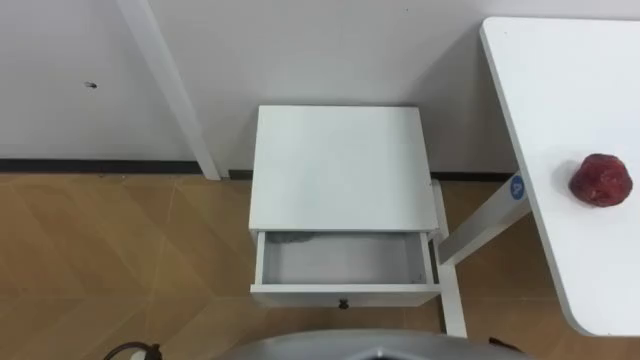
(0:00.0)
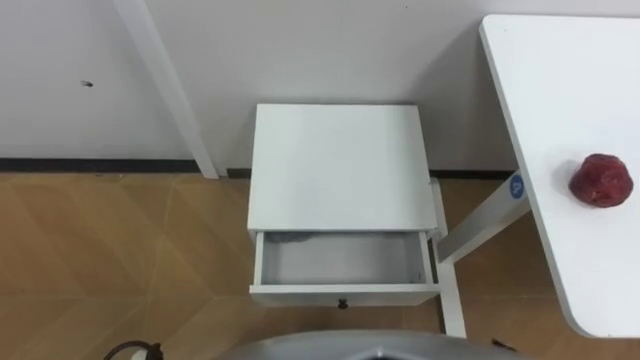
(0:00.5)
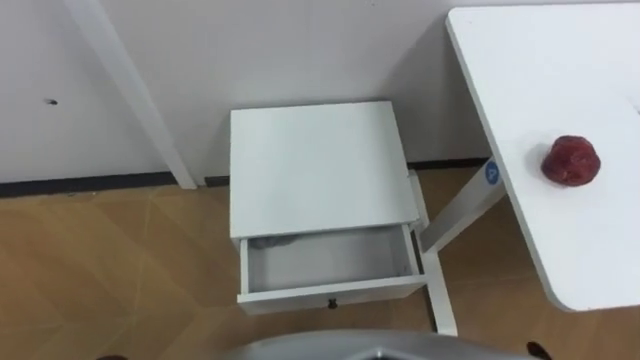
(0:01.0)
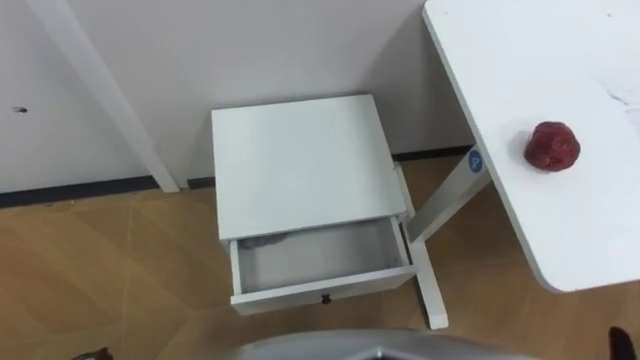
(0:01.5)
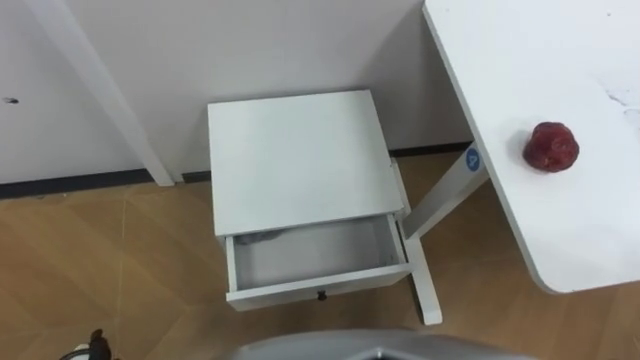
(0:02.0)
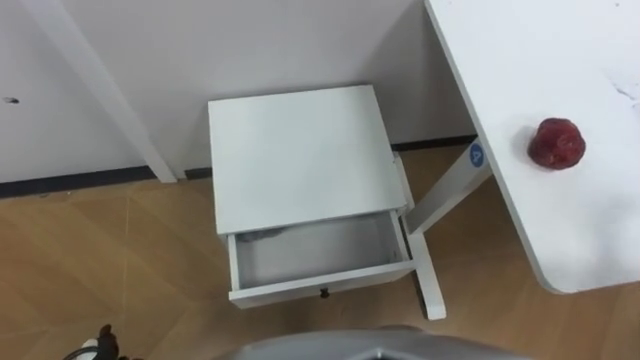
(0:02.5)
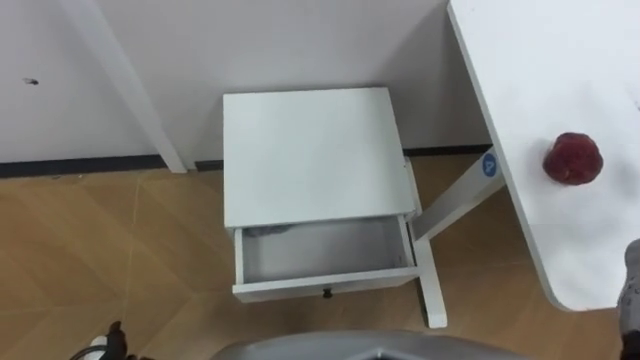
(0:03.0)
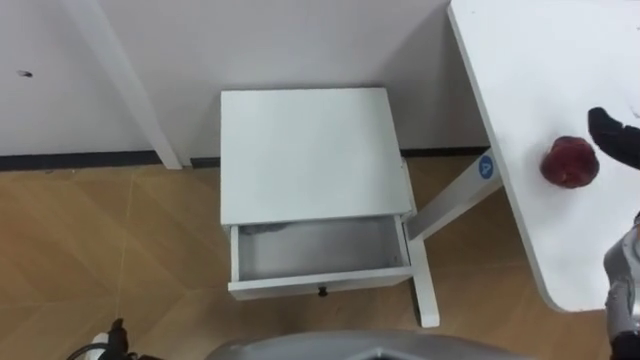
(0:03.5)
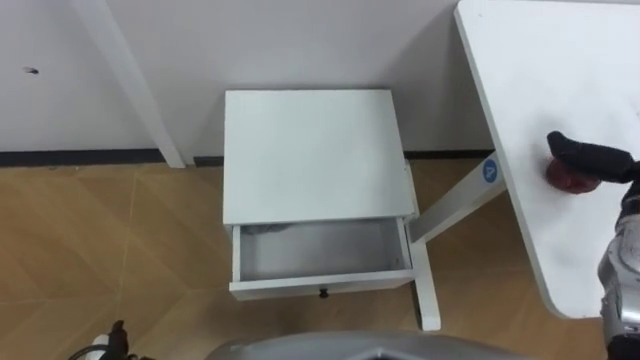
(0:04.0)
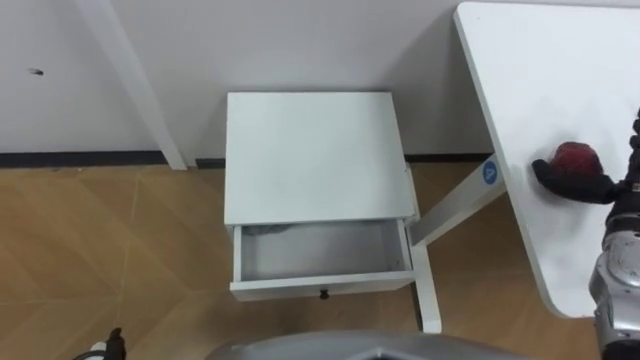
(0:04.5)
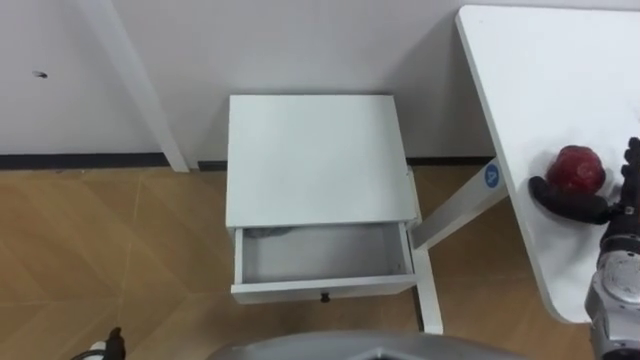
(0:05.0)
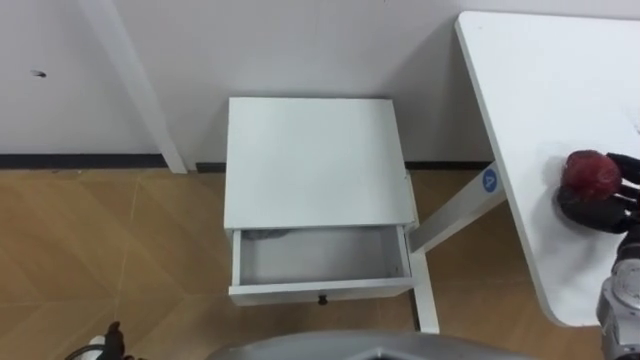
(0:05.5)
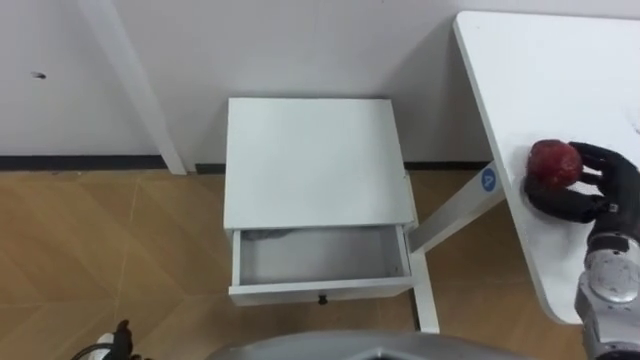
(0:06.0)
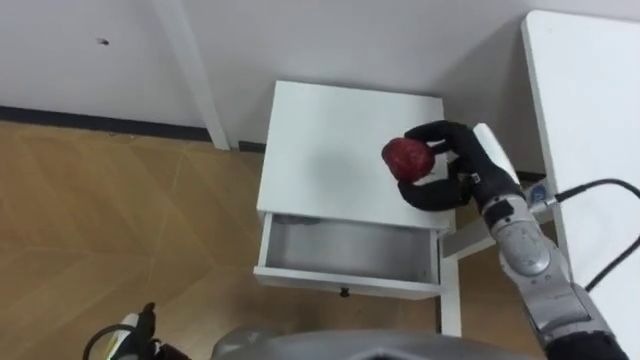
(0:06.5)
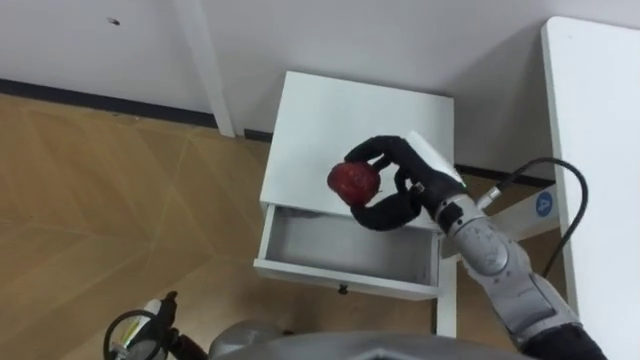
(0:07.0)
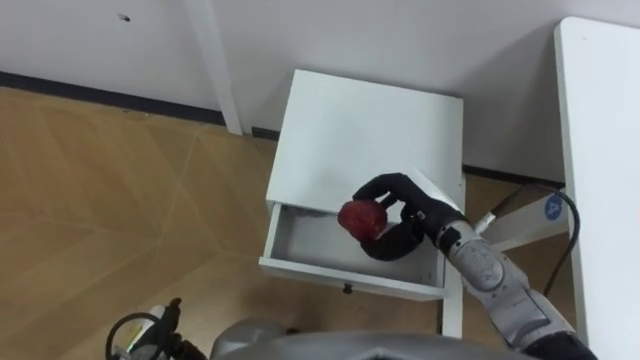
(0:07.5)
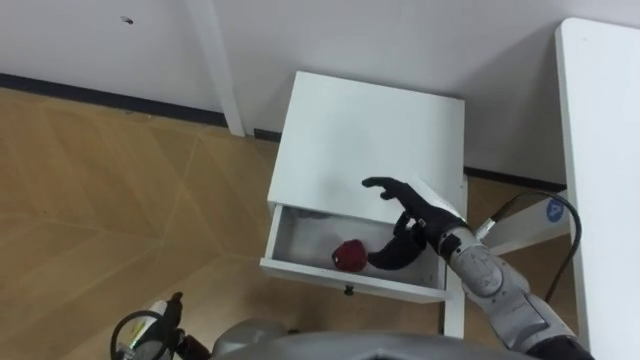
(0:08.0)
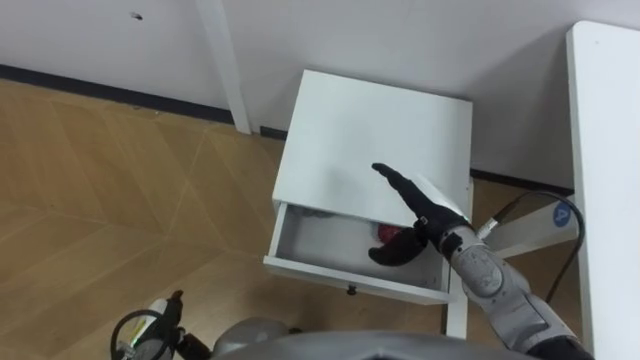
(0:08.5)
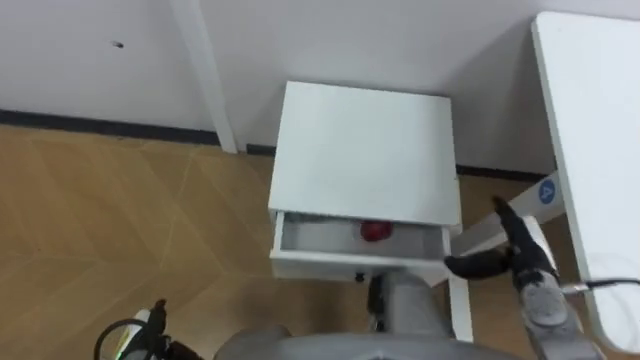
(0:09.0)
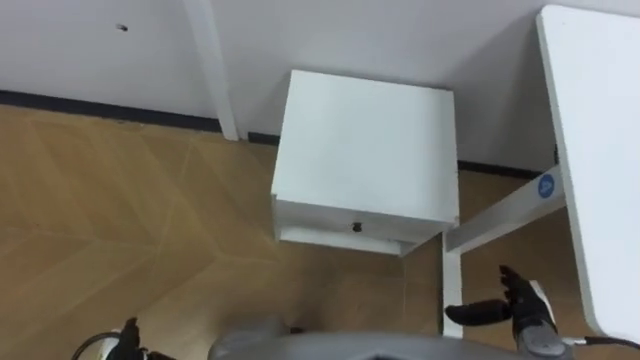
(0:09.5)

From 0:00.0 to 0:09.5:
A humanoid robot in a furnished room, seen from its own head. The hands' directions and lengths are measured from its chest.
Task of the whole recording: Pick up the apple from the table, put it in the drawer, and close the drawer with leg.
From 0:05.5 to 0:07.5: The right hand moves to the left, about 25 cm.
From 0:07.5 to 0:09.5: The right hand is displaced to the right, backward and downward by roughly 25 cm, and opens its fingers.

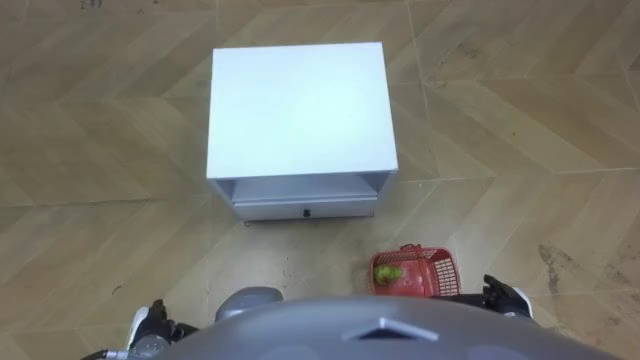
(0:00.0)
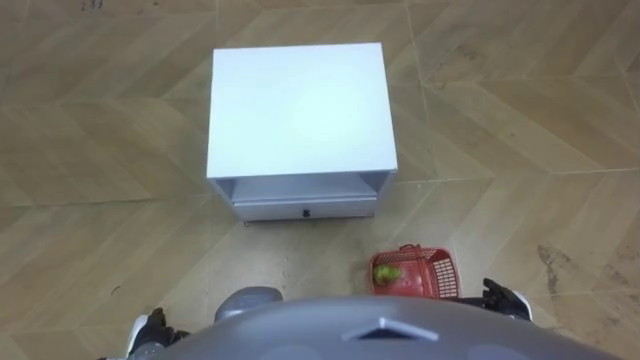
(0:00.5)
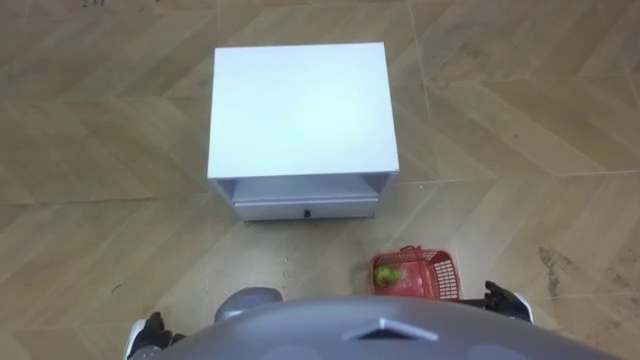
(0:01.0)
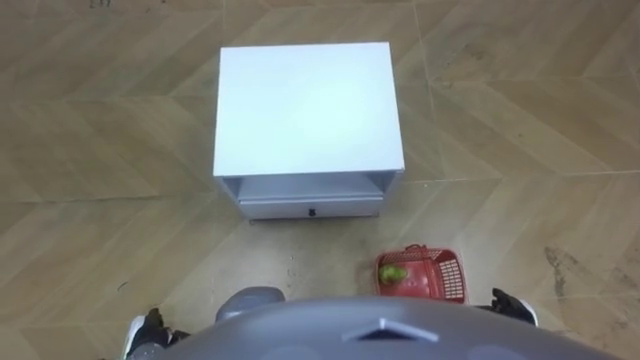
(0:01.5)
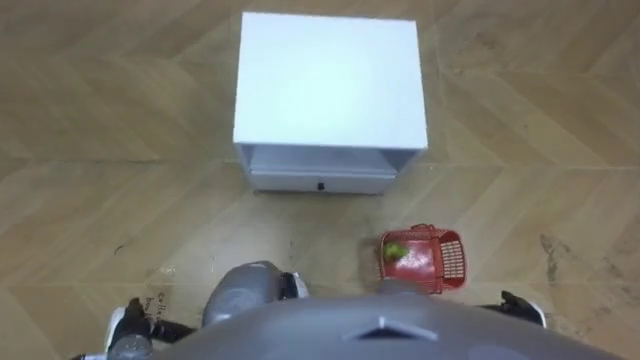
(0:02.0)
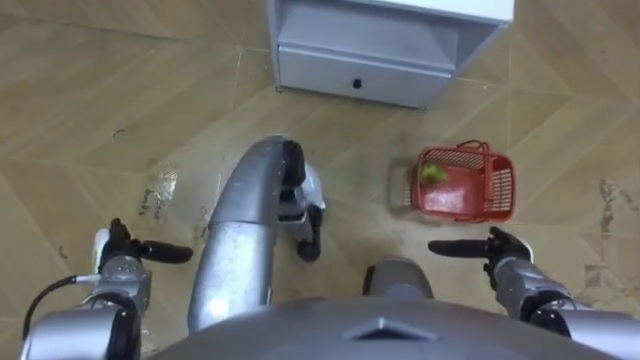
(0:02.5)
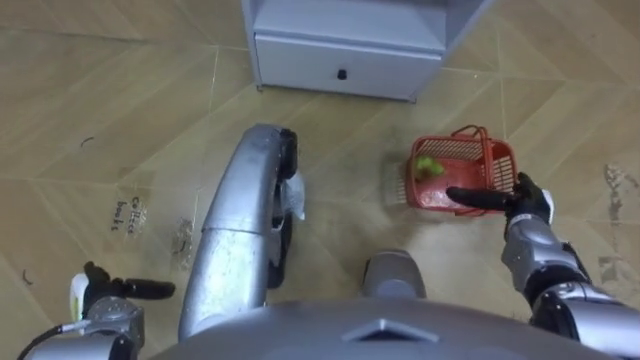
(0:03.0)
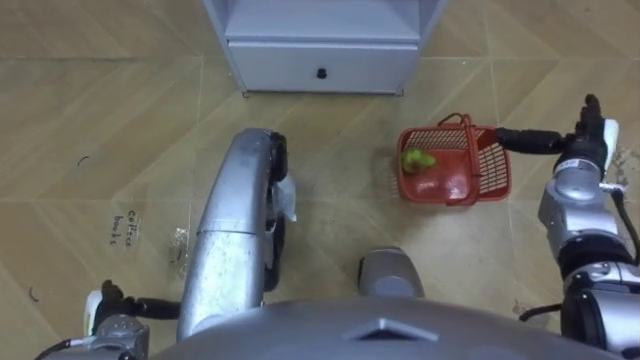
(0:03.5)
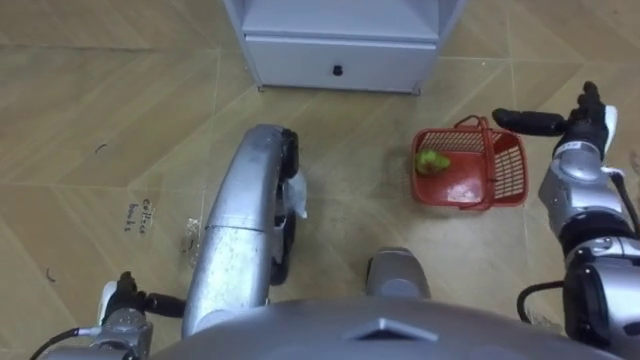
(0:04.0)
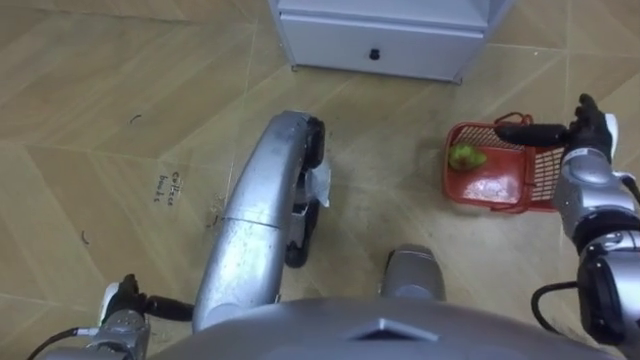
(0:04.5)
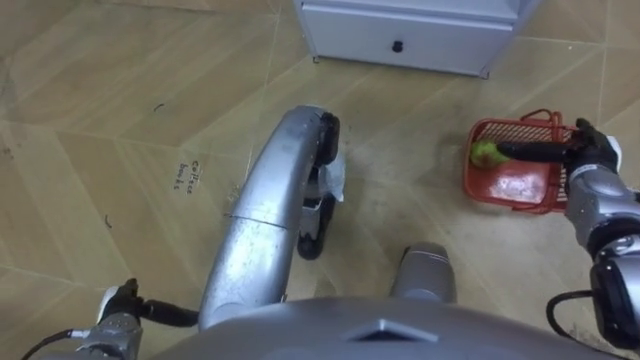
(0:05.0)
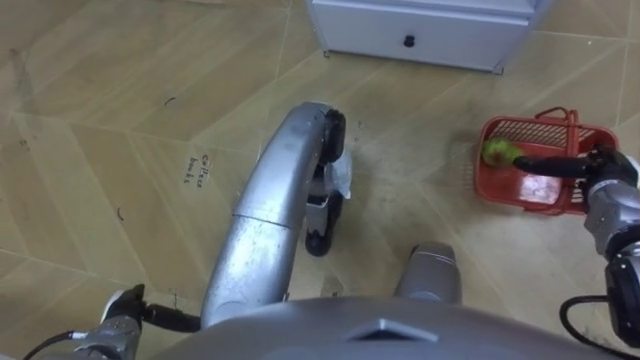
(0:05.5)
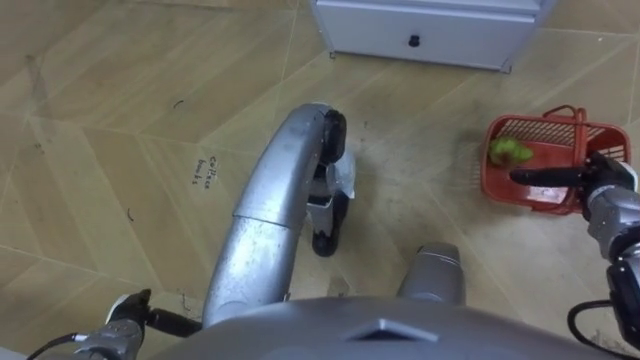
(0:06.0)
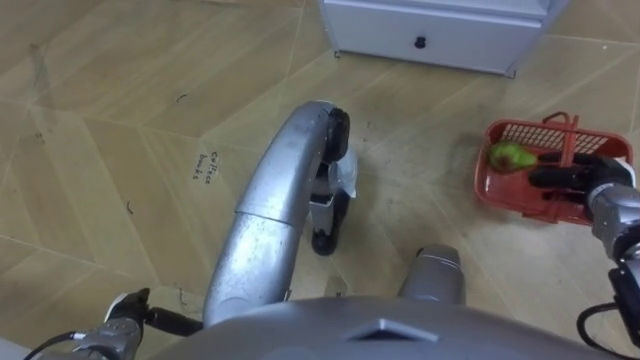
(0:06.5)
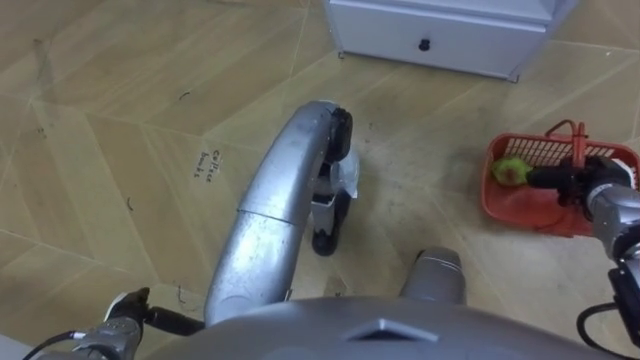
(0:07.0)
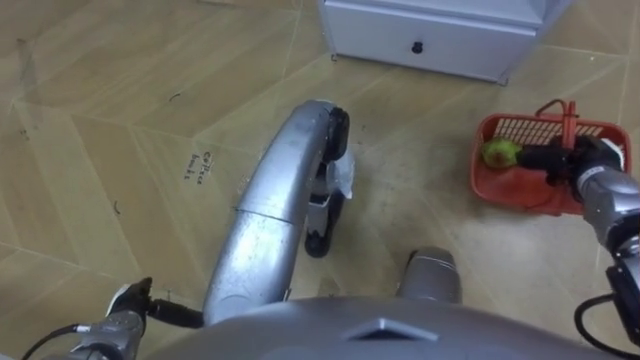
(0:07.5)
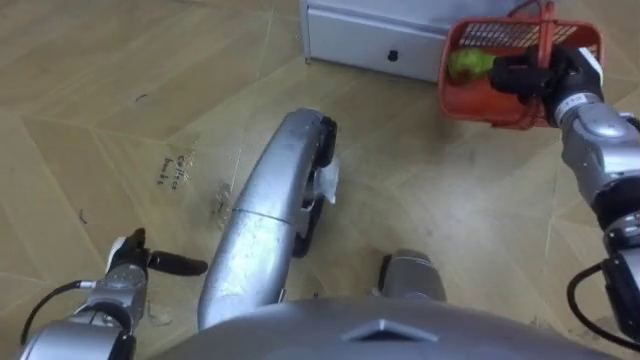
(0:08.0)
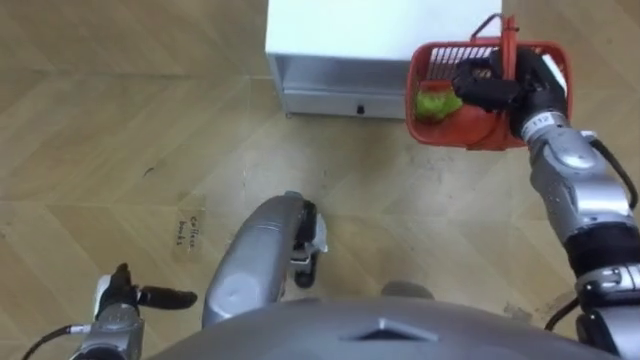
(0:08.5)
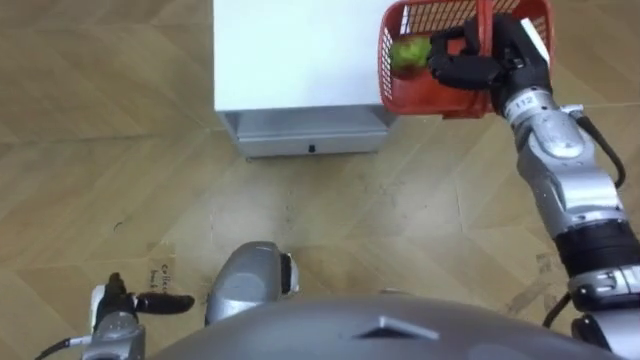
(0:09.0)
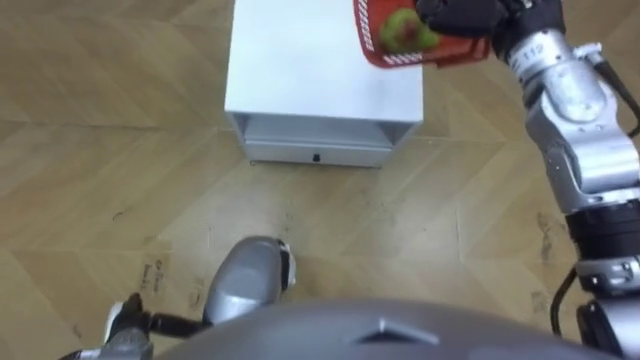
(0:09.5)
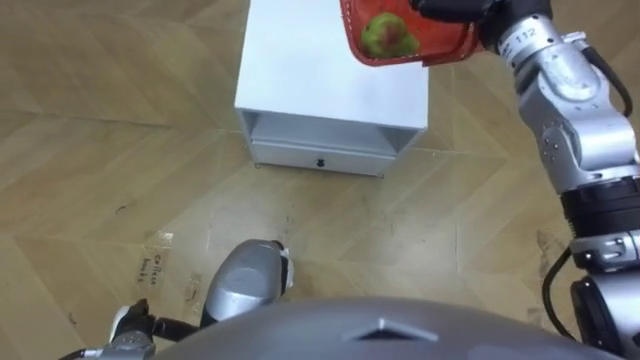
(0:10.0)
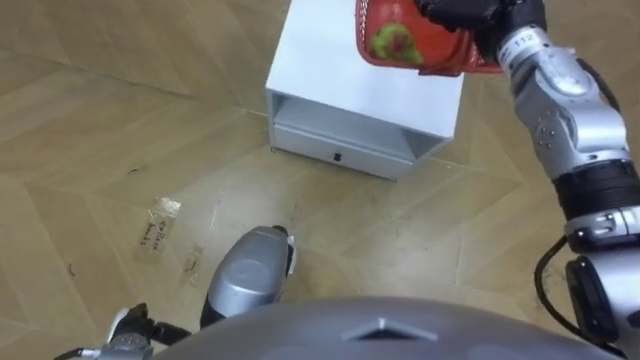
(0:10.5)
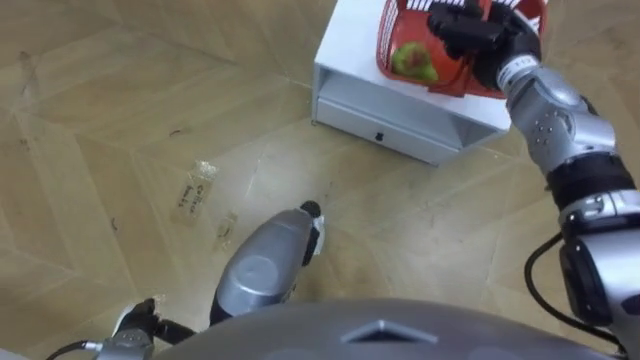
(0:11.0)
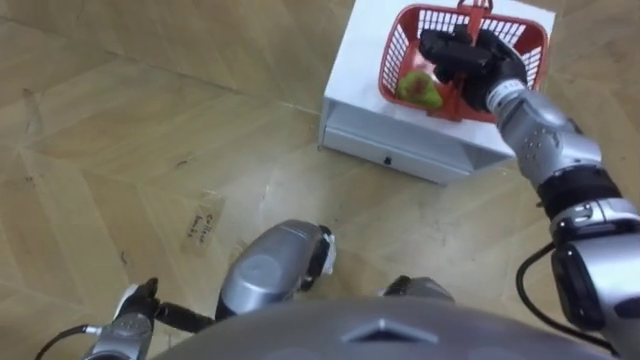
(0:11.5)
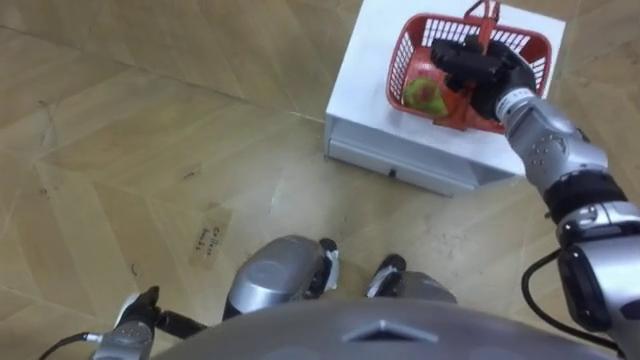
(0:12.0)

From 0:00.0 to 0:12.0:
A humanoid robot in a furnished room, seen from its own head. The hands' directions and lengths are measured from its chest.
Task of the whole recording: Pick up the fruit basket from the floor and place it on the cabinet.
From 0:02.0 to 0:04.0: The right hand moves forward and upward, some 30 cm. The left hand goes forward and returns, about 10 cm each way.
From 0:04.0 to 0:06.0: The right hand goes some 5 cm backward.
From 0:06.0 to 0:08.0: The right hand travels forward, upward and to the left by roughly 15 cm, and closes. Meanwhile the left hand moves forward, about 10 cm.
From 0:08.0 to 0:10.0: The left hand moves backward, some 10 cm.
